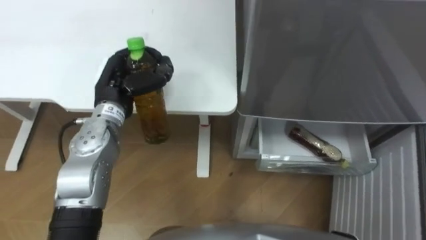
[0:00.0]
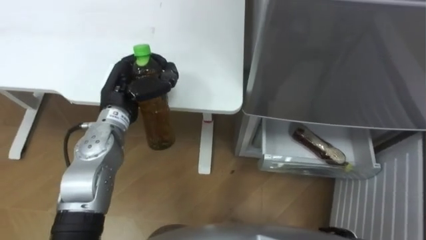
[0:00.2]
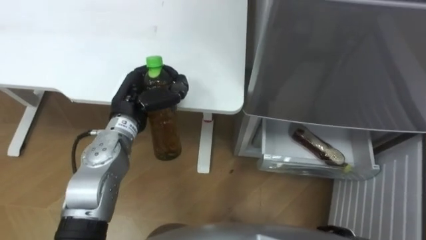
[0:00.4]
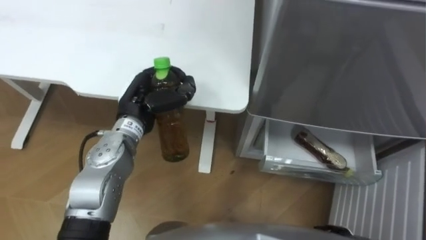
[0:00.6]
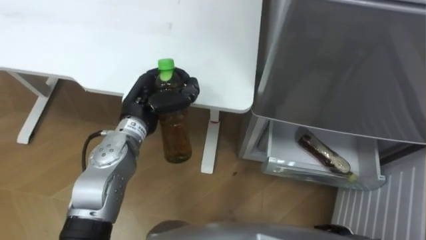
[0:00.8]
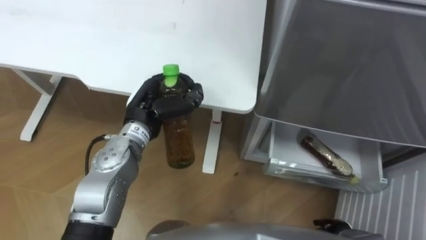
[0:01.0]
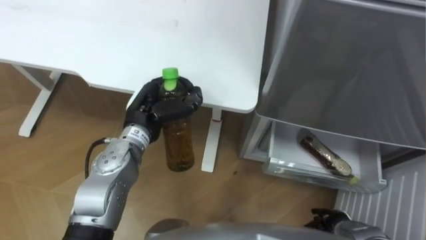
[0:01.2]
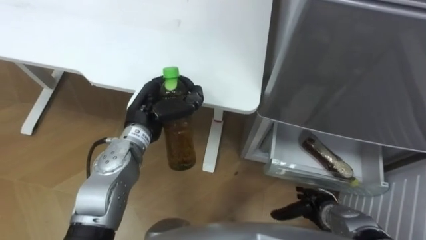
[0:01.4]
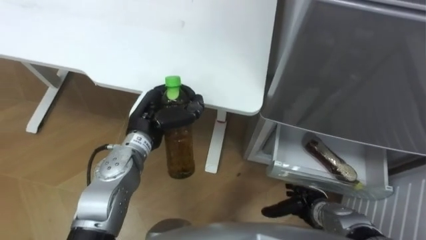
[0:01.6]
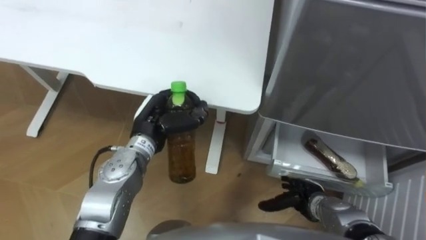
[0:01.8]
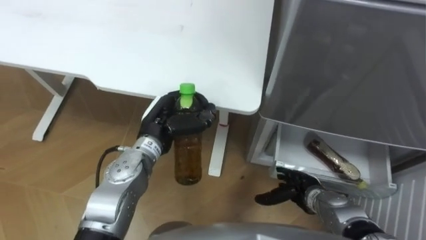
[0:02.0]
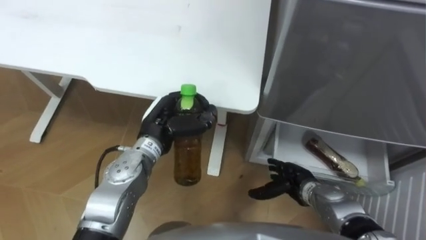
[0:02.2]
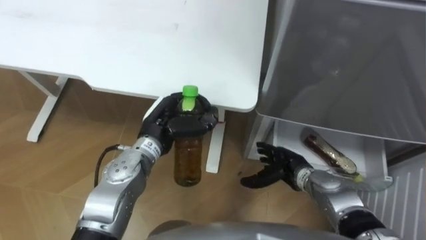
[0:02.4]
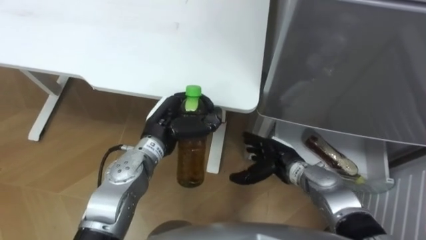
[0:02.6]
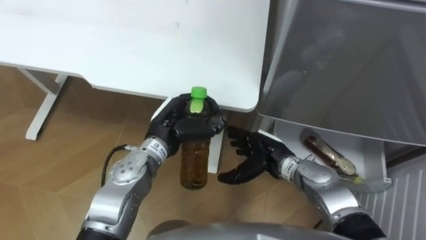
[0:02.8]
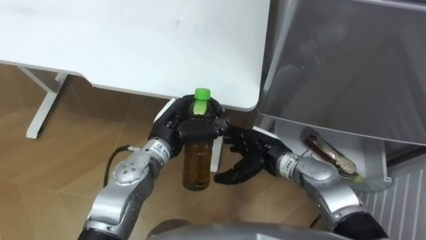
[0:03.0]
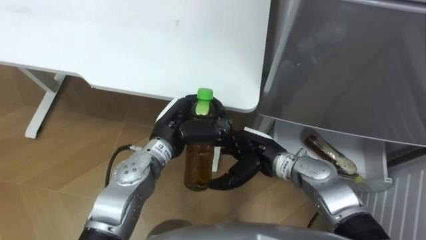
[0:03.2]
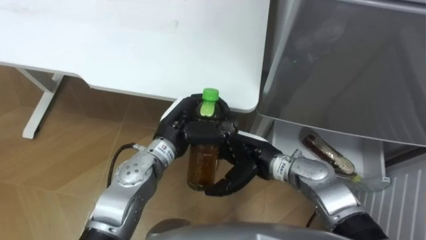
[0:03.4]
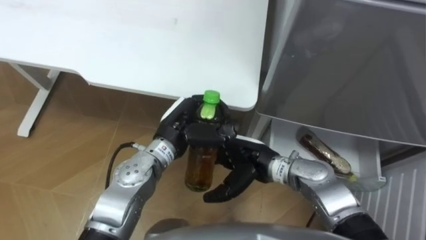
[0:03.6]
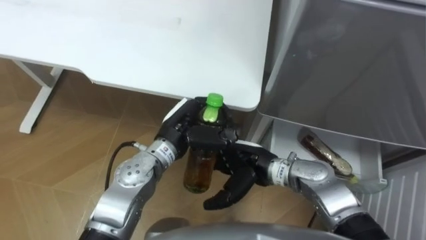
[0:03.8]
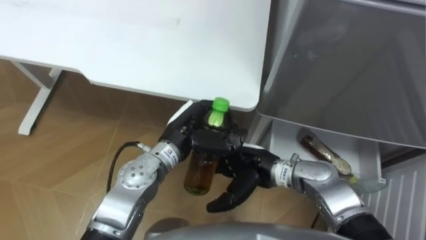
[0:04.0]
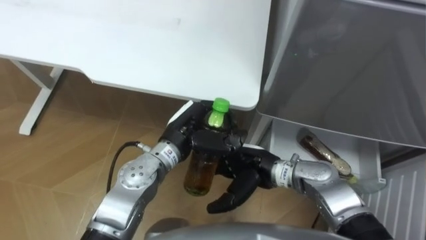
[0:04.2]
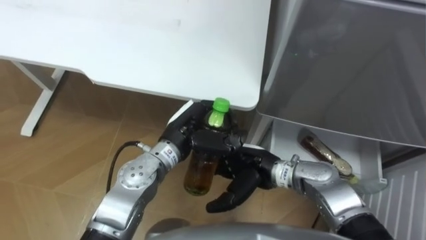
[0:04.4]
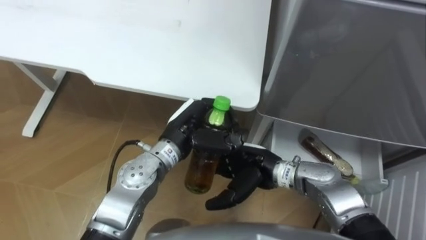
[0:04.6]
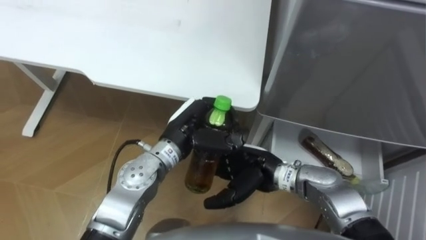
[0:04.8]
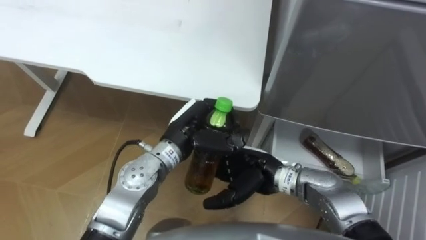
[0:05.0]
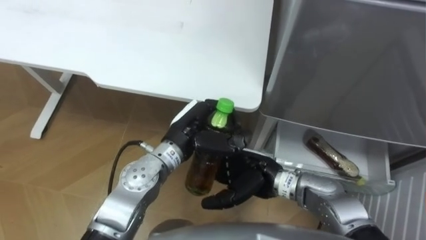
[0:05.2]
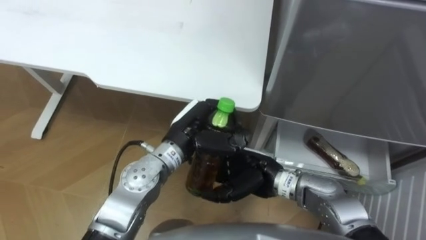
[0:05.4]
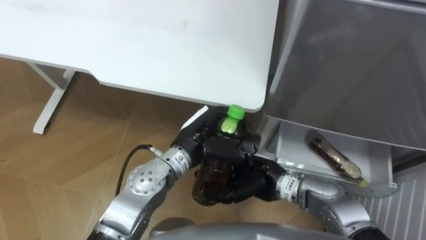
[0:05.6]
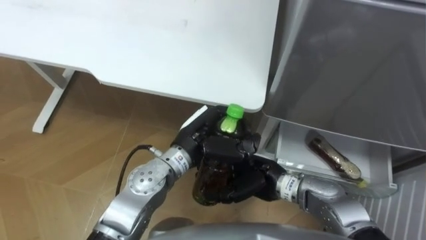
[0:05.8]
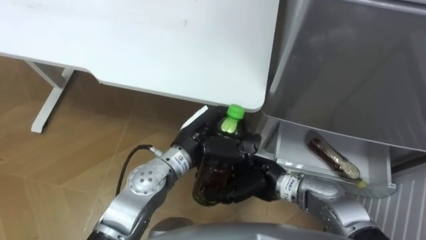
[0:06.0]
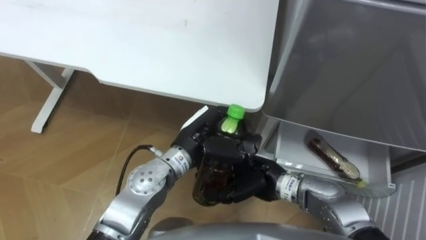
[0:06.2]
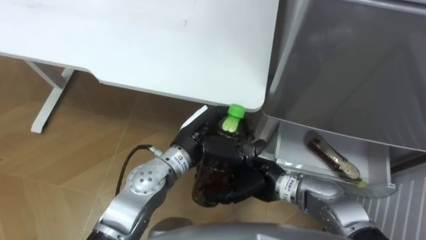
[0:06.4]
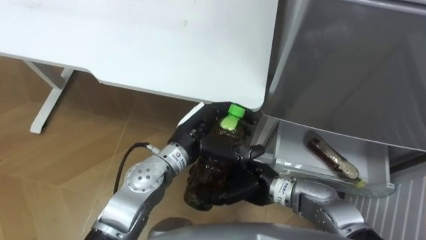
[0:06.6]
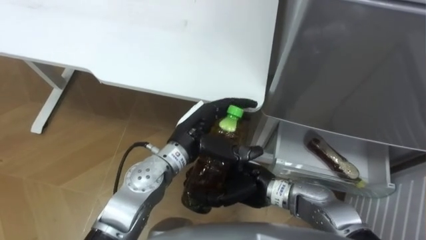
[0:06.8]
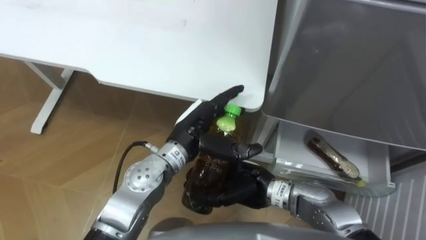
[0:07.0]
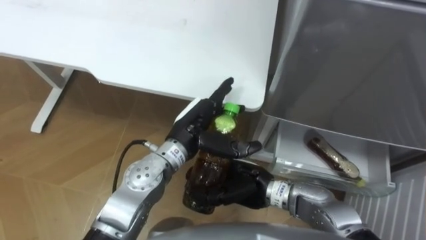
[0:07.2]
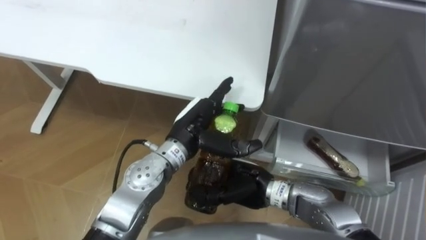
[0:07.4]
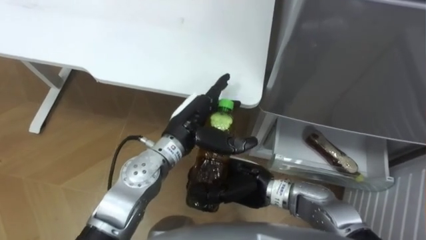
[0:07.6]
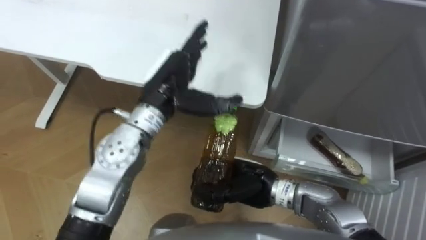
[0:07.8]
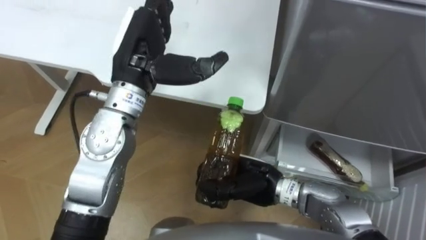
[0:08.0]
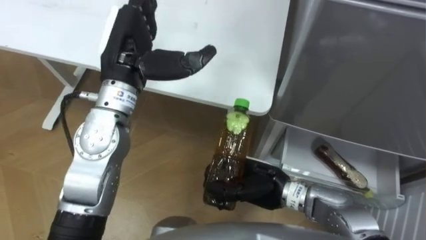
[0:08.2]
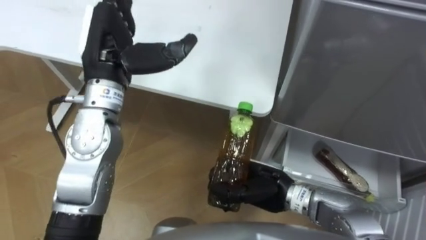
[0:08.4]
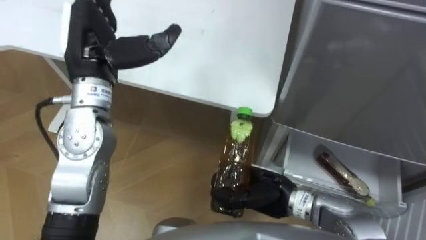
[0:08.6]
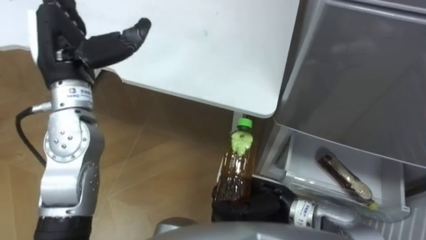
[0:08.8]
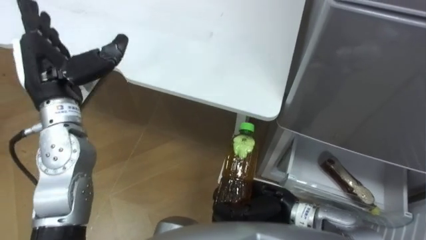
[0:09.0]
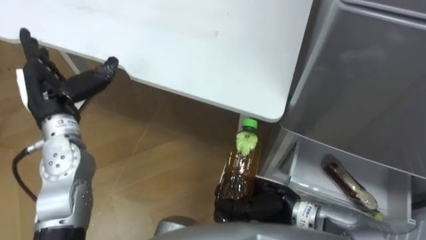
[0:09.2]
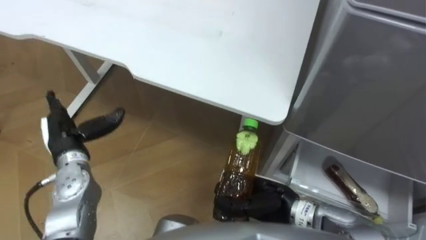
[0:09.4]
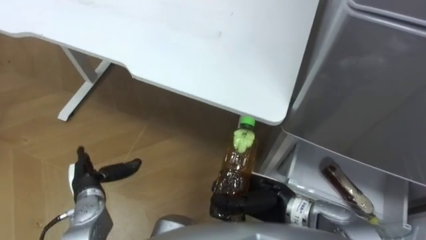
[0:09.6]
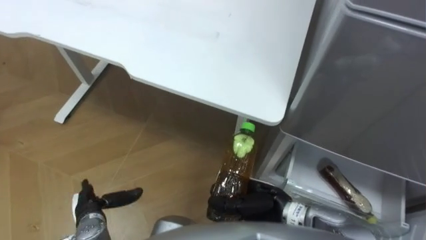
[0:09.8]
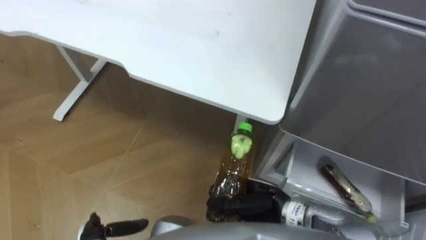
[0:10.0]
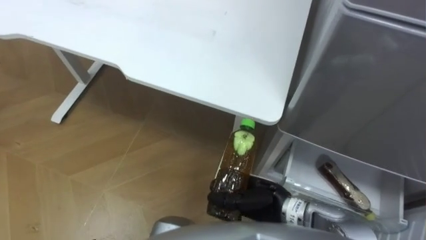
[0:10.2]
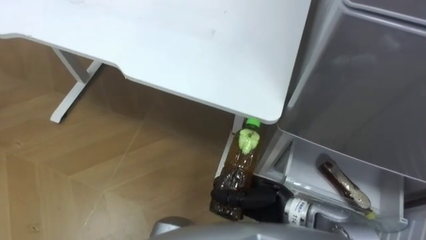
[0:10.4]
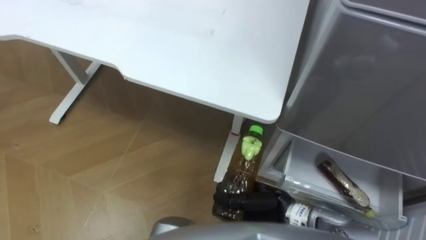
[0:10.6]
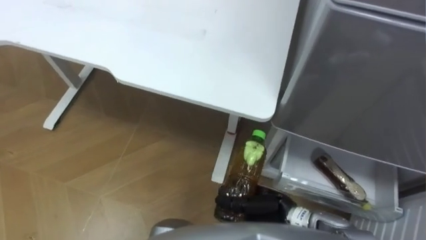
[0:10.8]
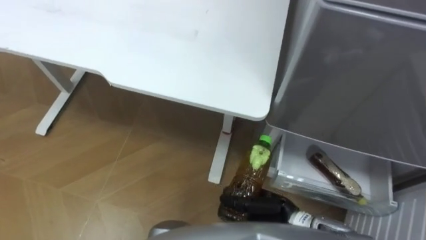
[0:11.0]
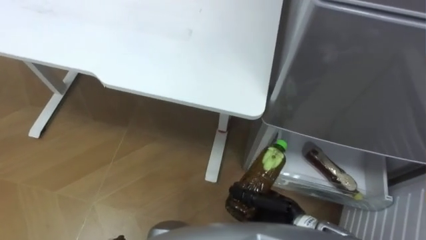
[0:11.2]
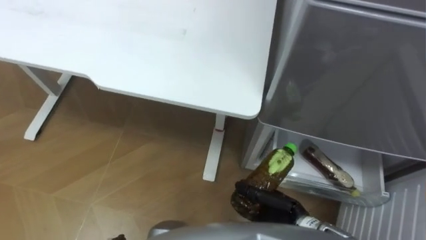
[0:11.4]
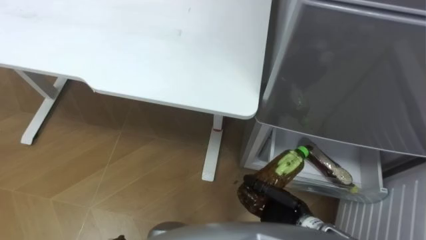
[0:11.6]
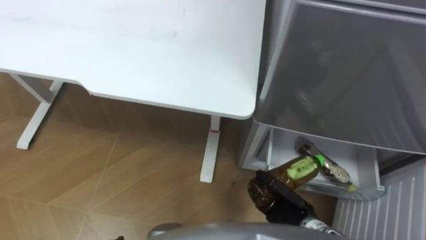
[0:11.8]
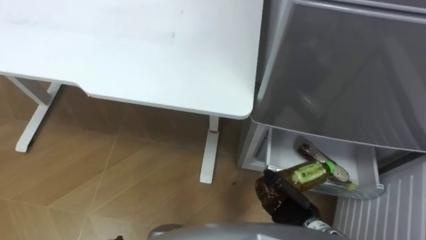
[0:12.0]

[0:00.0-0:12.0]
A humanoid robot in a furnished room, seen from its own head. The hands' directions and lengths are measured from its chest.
Task of the whole recording: Place the drink on the table on the bottom shelf of the refrigerator, then close the drawer and the refrigerator door.
0:00.0 to 0:01.6: The left hand moves to the right, roughly 5 cm.
0:01.6 to 0:03.0: The right hand travels upward, to the left and forward by about 20 cm.
0:03.0 to 0:04.4: The right hand moves approximately 5 cm.
0:04.4 to 0:06.0: The right hand closes its fingers.
0:06.0 to 0:07.6: The left hand opens.
0:07.6 to 0:09.0: The right hand ends up some 5 cm from where it was. The left hand moves to the left and upward, about 25 cm.
0:10.4 to 0:12.0: The right hand heads to the right and downward, covering roughly 10 cm.

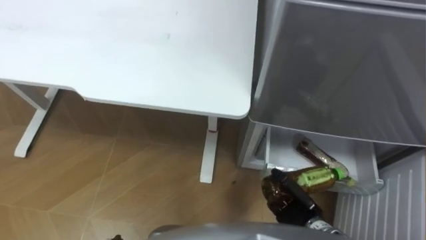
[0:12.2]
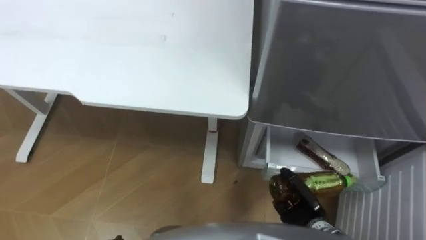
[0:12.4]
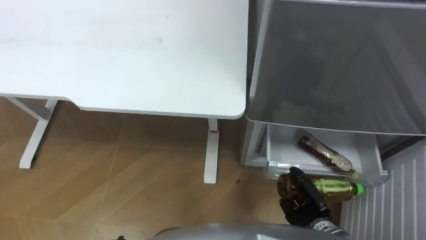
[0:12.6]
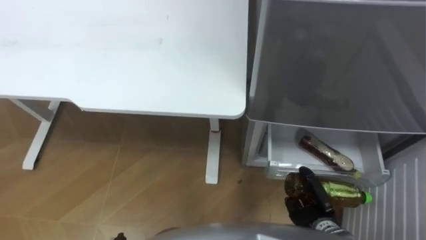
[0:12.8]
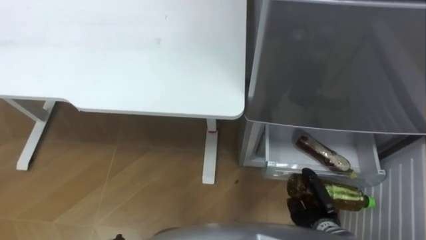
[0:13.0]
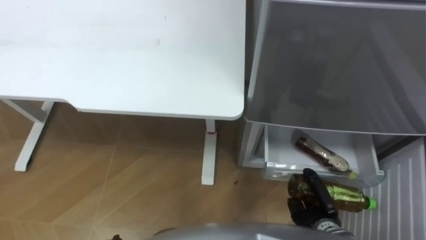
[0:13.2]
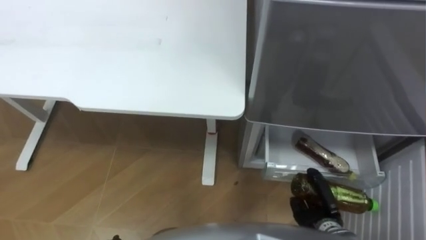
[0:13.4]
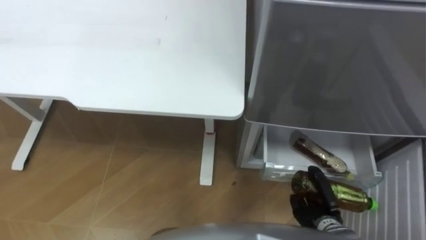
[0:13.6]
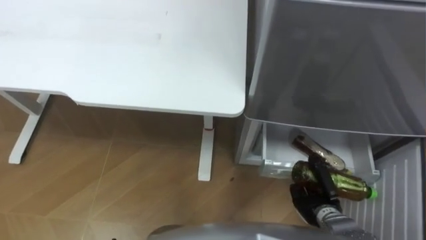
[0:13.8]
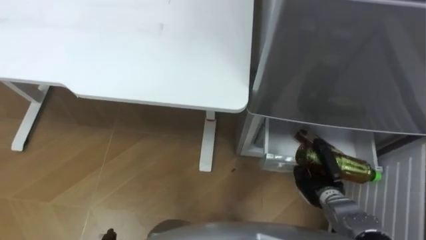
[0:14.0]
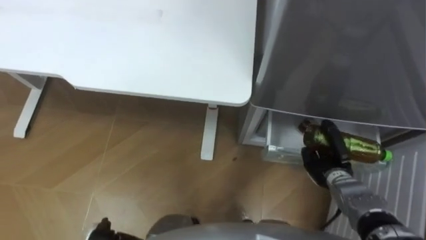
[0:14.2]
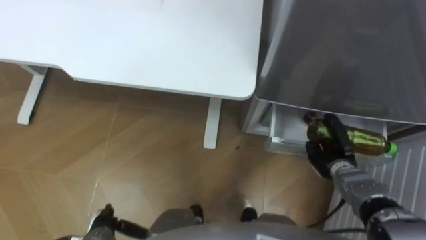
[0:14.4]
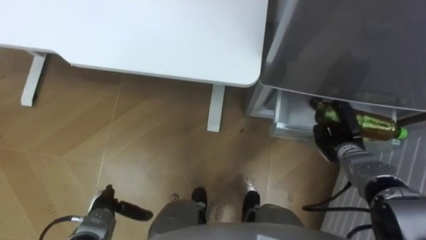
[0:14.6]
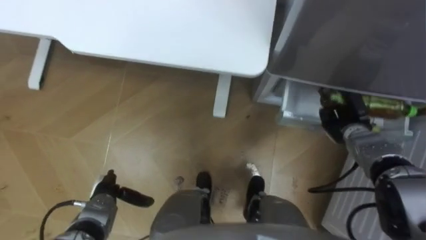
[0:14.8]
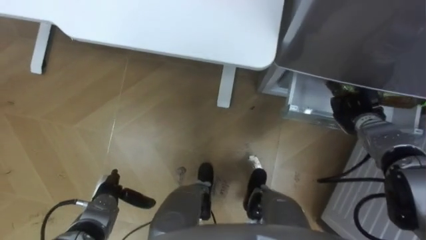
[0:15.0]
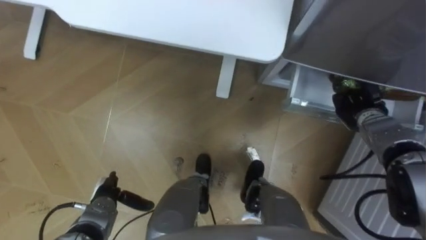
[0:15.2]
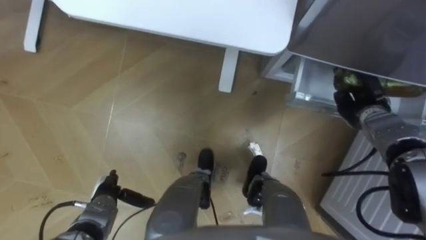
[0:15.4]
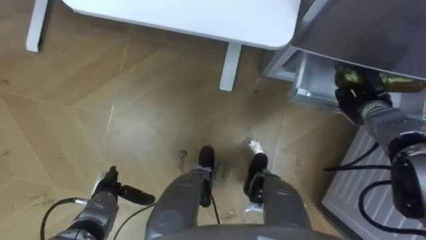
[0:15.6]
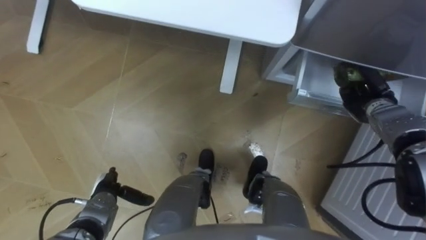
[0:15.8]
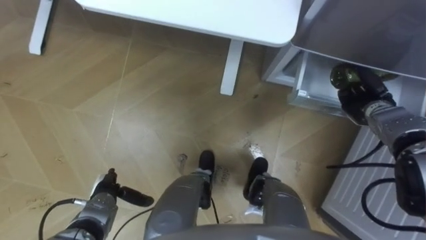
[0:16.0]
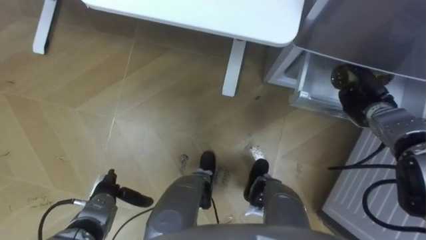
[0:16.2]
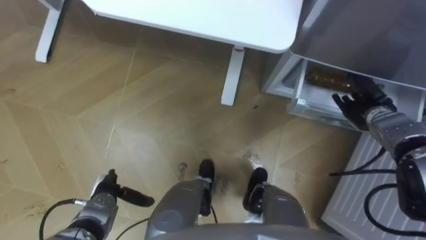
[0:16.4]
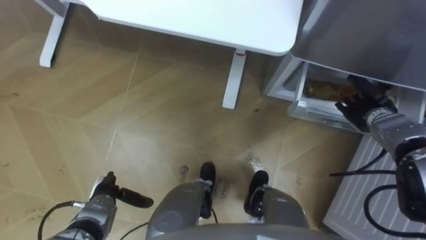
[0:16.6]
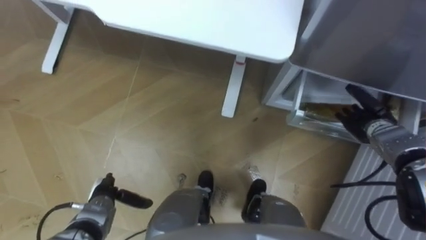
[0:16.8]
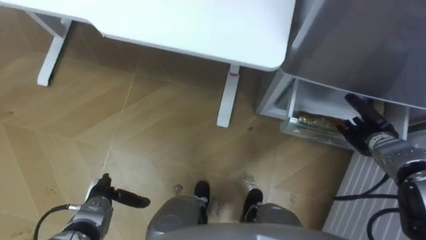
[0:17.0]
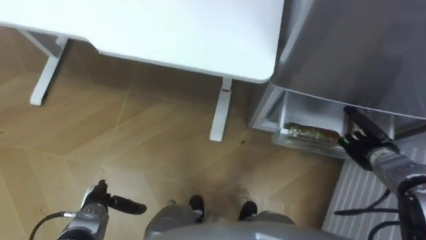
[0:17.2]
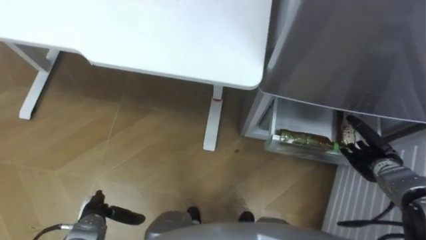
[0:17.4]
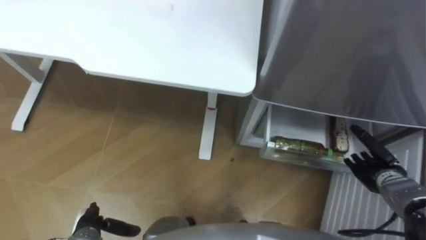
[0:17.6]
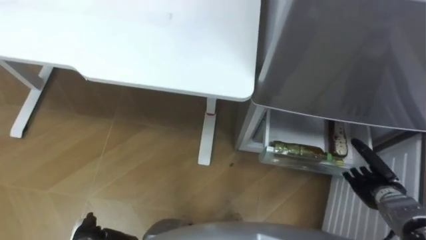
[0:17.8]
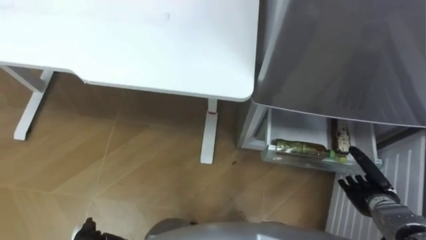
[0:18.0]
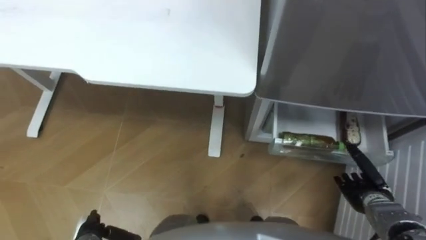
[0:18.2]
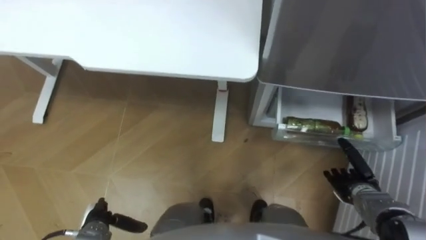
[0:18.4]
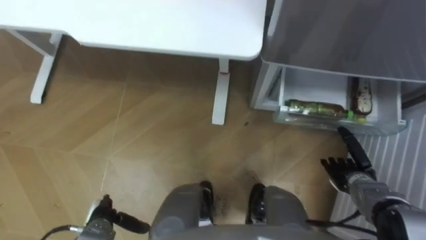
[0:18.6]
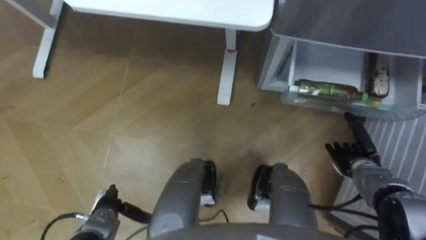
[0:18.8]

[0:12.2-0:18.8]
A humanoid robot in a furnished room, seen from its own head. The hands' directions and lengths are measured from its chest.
Task of the whole recording: Place the drink on the table on the bottom shelf of the refrigerator, then close the drawer and the refrigerator door.
0:13.8 to 0:15.4: The right hand goes some 25 cm forward, upward and to the right.
0:15.4 to 0:17.2: The right hand shifts some 10 cm backward, and opens up.
0:17.2 to 0:18.8: The right hand reaches approximately 10 cm backward, then returns.
